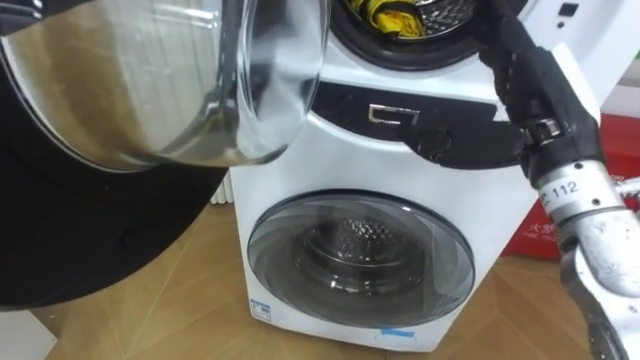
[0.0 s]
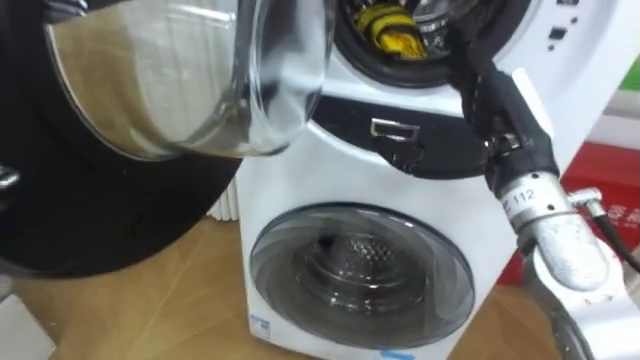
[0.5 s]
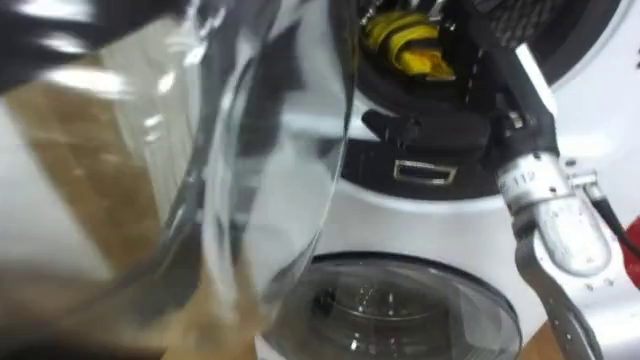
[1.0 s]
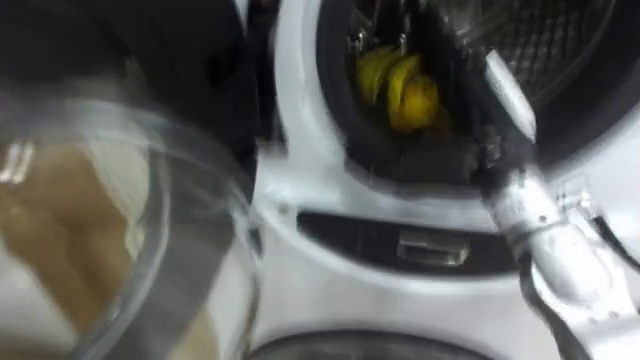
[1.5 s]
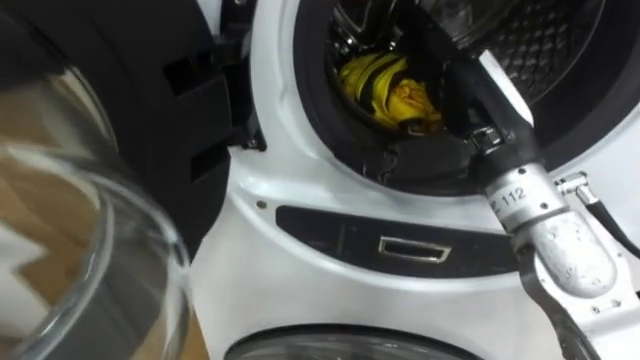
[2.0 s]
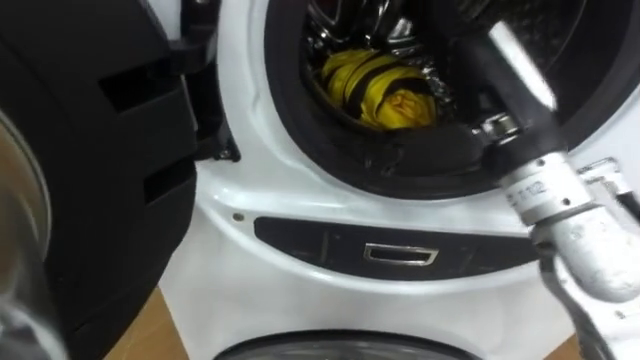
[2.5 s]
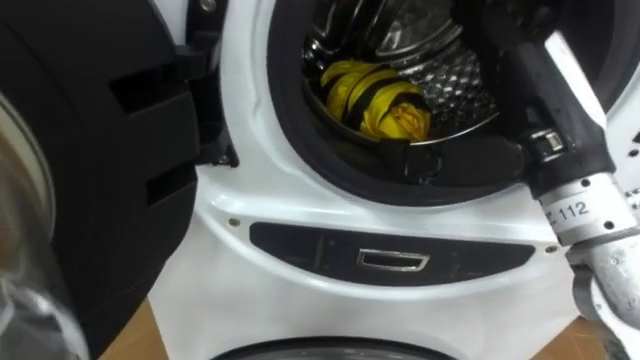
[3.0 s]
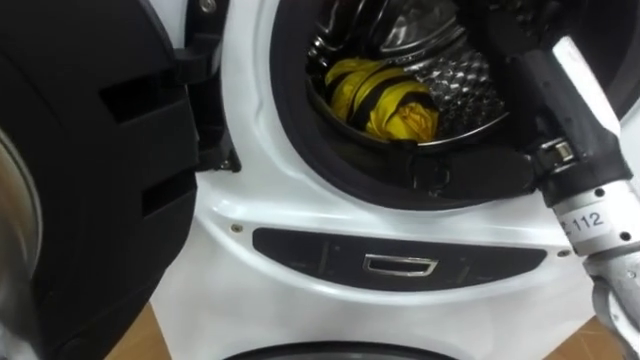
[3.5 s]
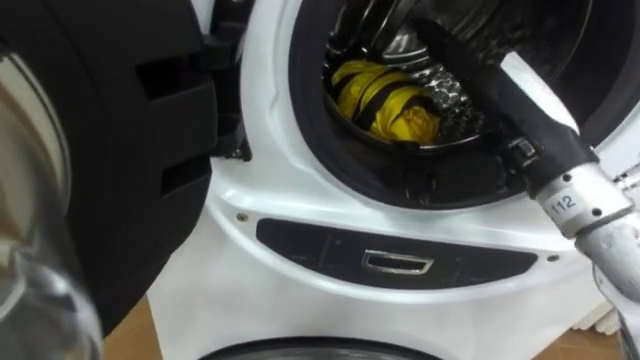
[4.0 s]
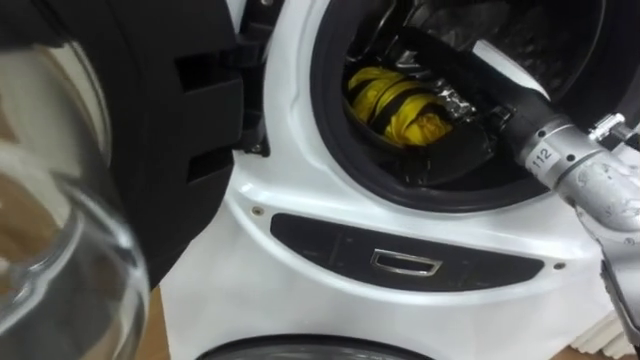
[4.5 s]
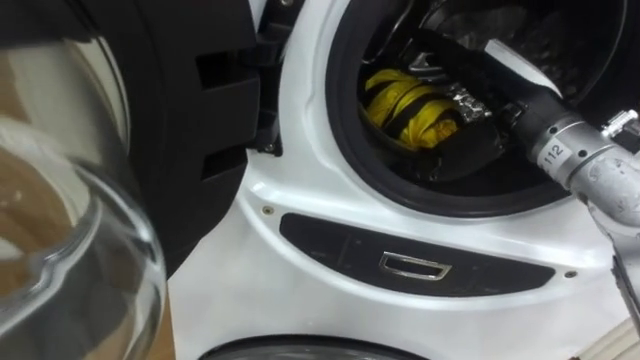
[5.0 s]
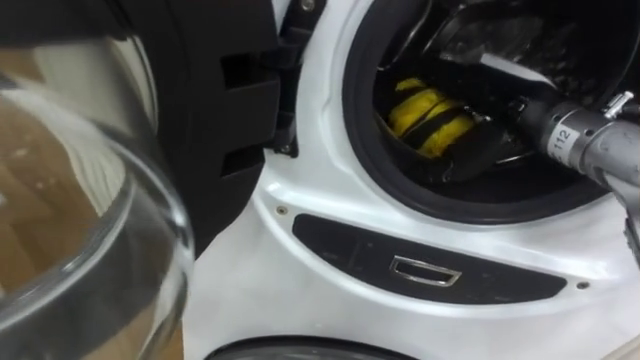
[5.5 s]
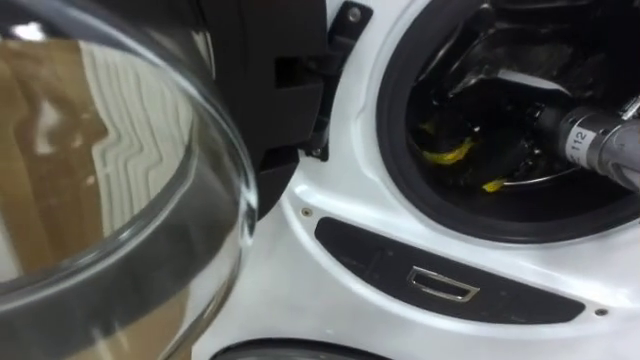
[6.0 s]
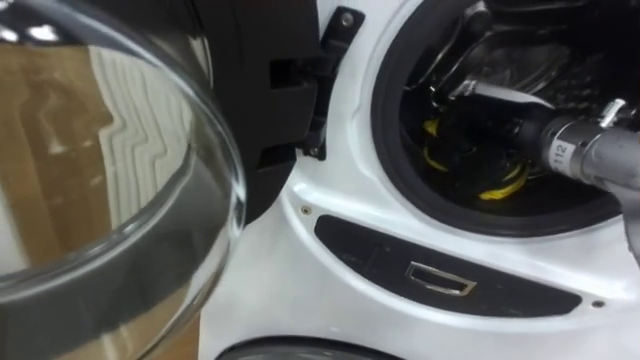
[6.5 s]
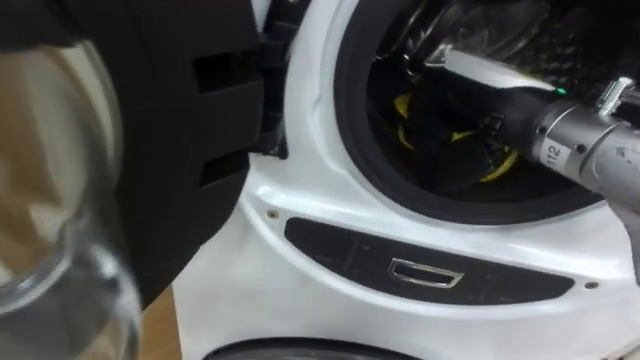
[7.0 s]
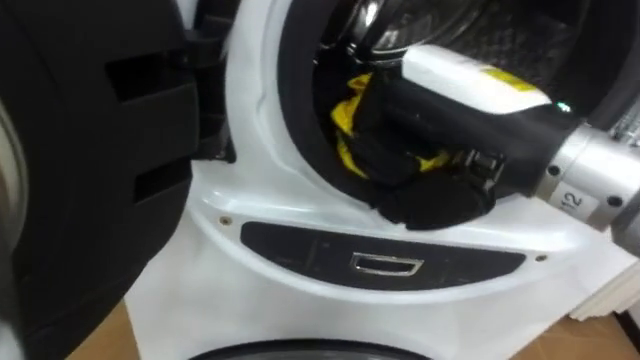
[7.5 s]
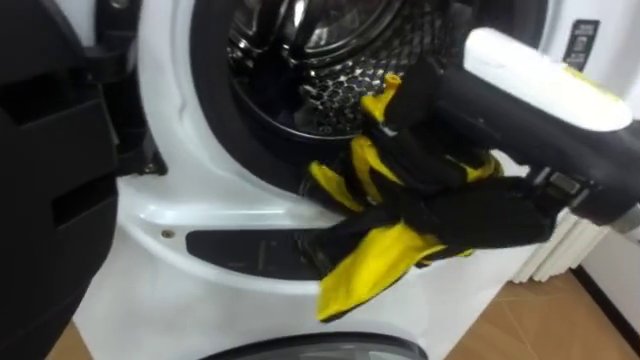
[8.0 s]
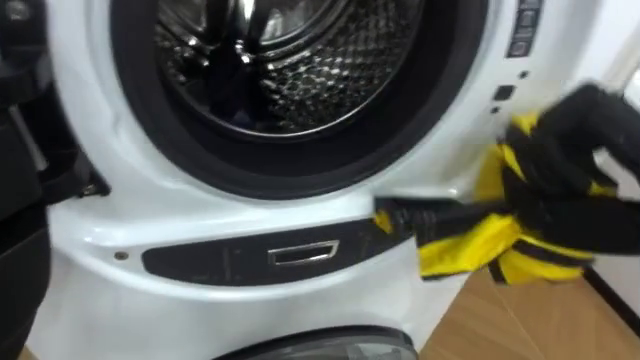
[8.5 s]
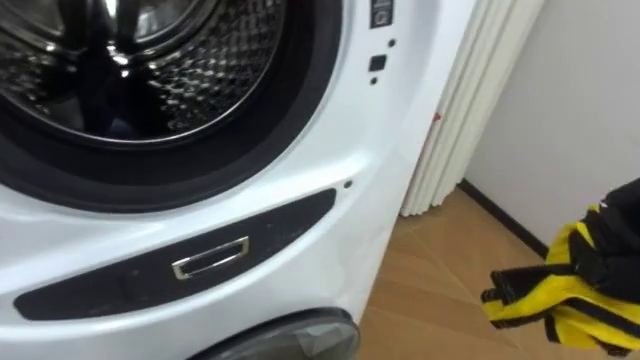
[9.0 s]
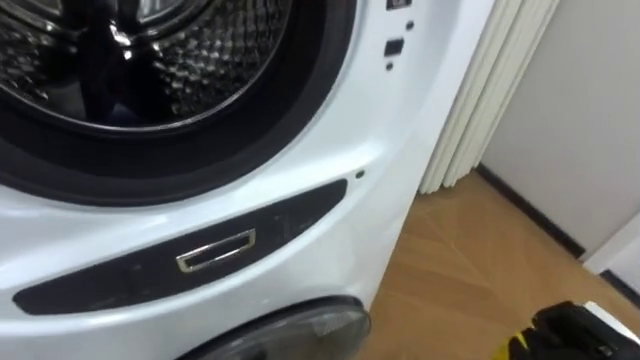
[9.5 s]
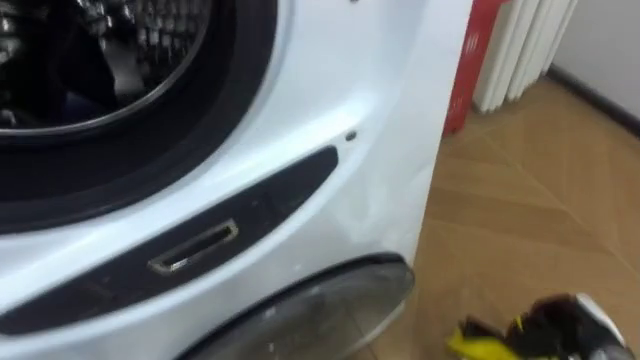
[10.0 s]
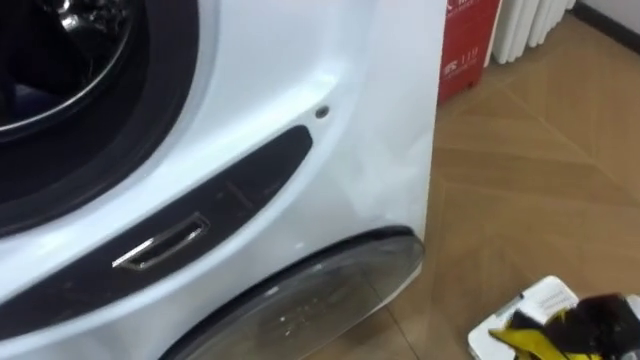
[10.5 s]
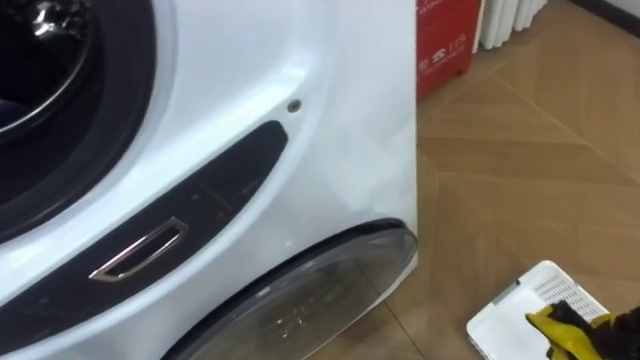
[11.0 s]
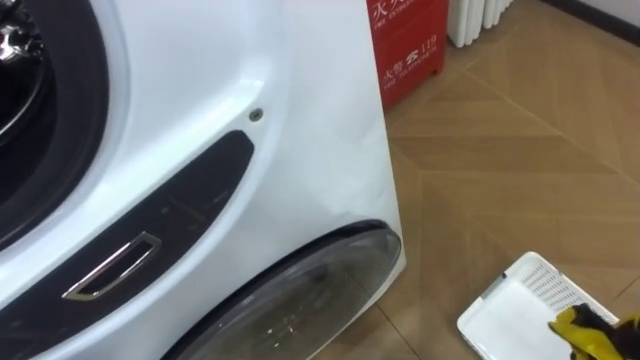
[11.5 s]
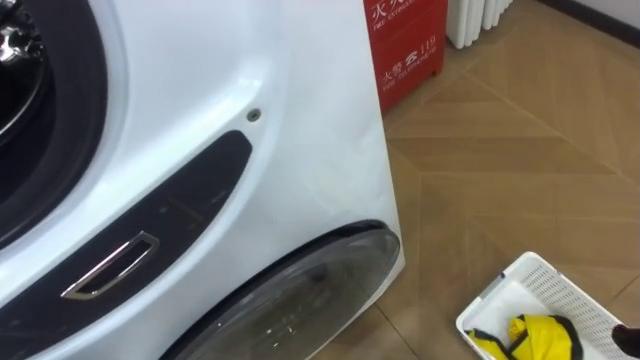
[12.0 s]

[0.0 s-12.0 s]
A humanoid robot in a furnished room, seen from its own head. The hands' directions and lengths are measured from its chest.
Task of the whole recording: Open the washing machine door, take out the yellow clothes, place them in the box on the right, and close the washing machine door.
0.0 to 2.0 s: The right hand travels to the left by approximately 5 cm.
4.0 to 6.0 s: The right hand travels forward and downward by roughly 10 cm, and closes.
6.0 to 8.0 s: The right hand travels backward, upward and to the left by some 20 cm, and closes.

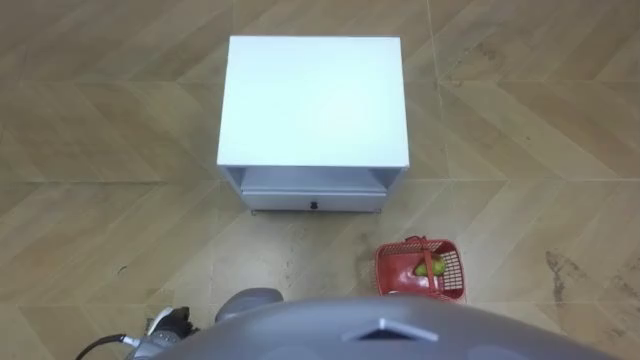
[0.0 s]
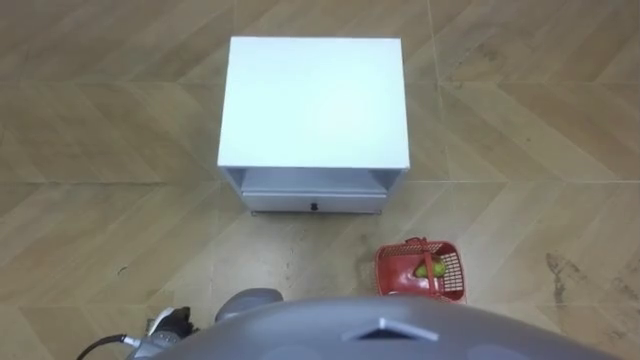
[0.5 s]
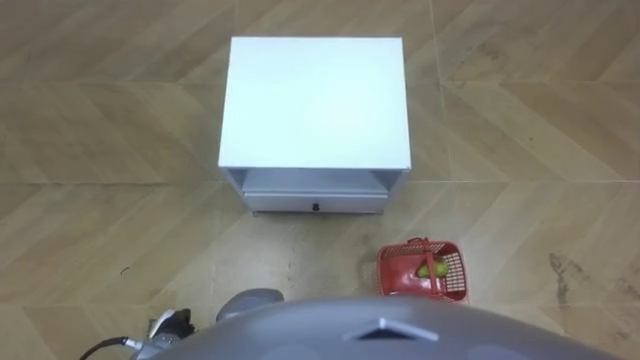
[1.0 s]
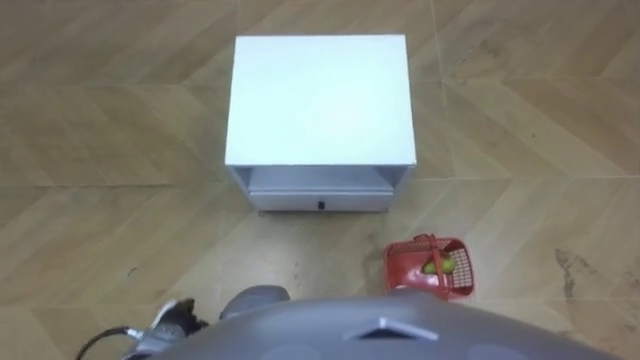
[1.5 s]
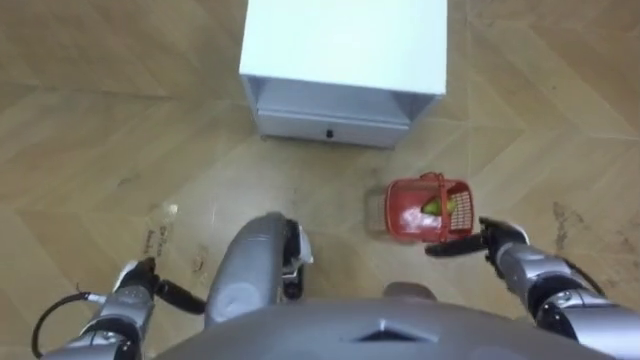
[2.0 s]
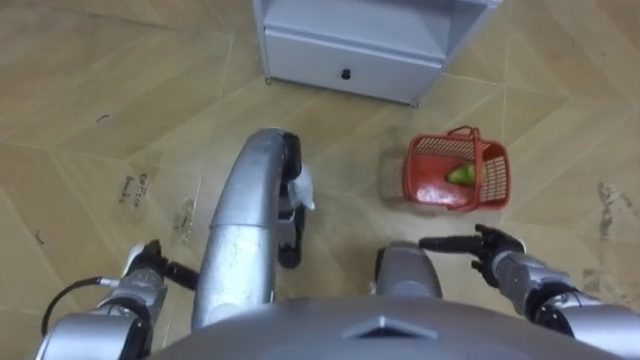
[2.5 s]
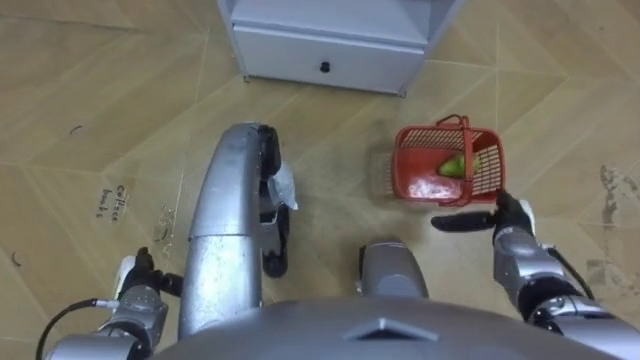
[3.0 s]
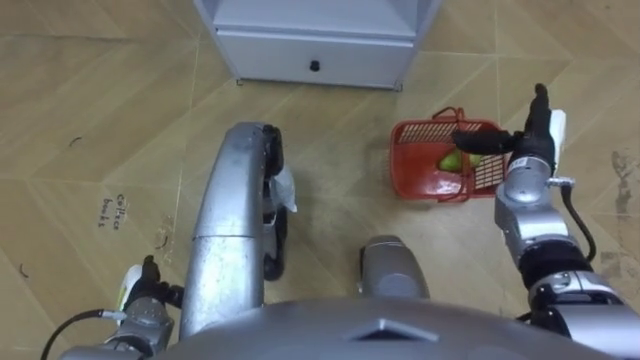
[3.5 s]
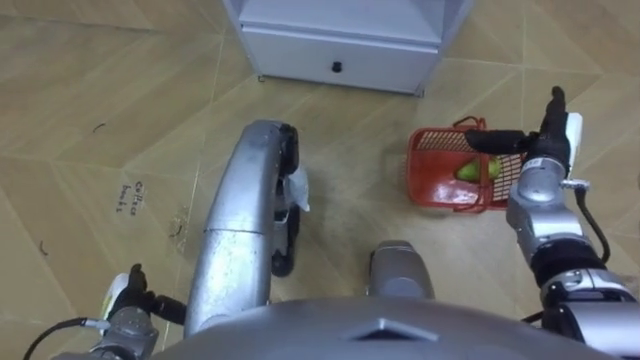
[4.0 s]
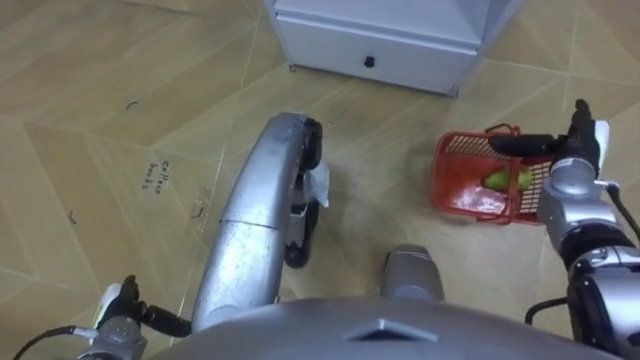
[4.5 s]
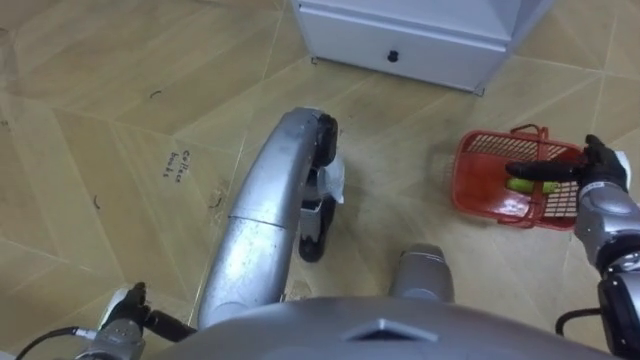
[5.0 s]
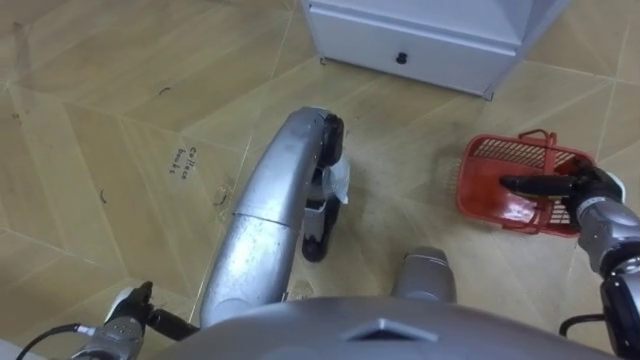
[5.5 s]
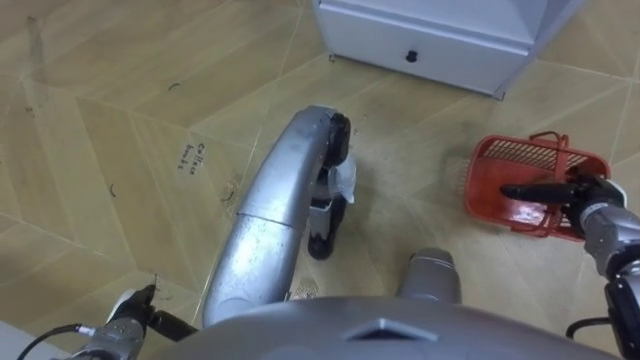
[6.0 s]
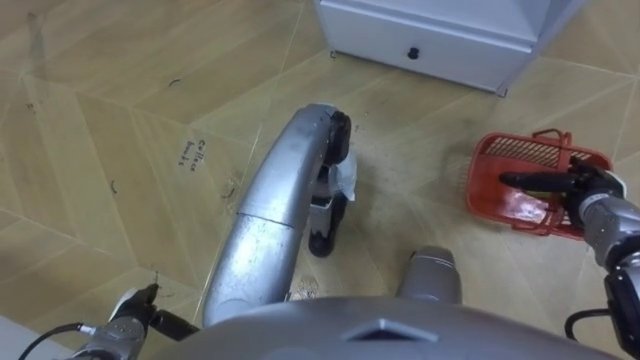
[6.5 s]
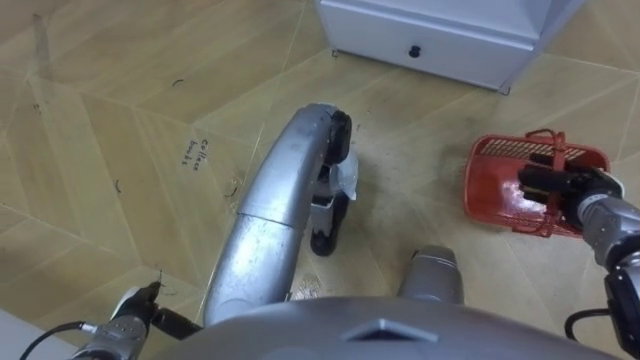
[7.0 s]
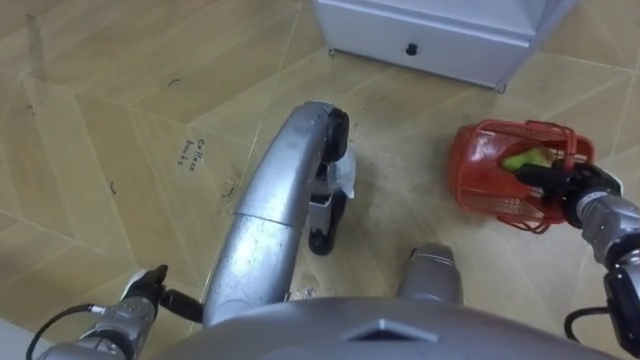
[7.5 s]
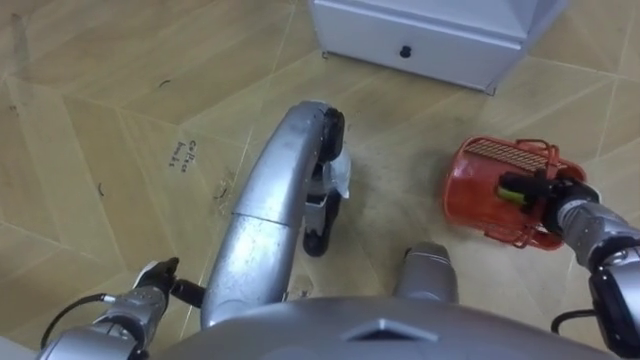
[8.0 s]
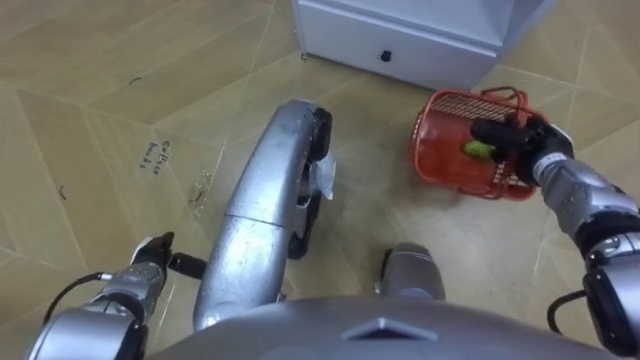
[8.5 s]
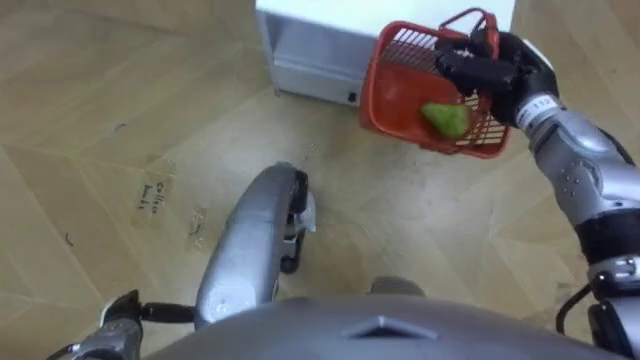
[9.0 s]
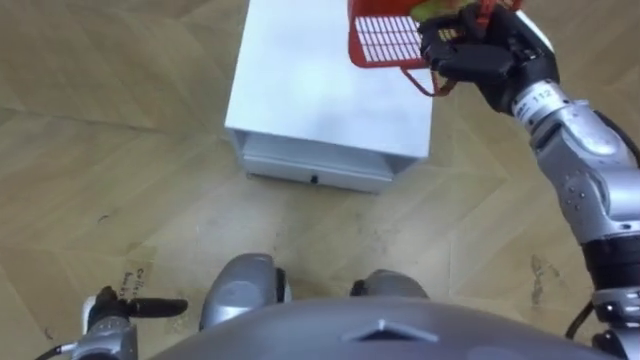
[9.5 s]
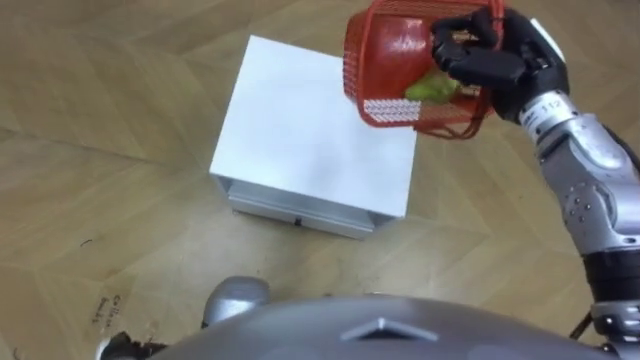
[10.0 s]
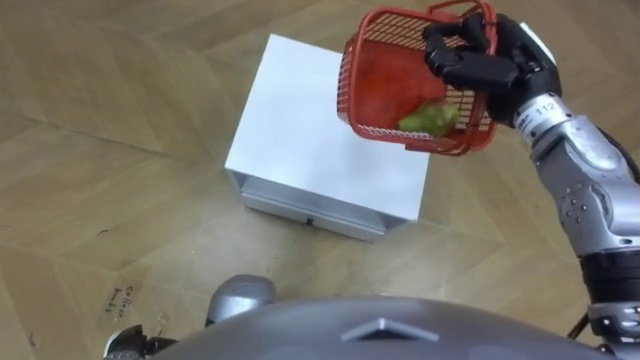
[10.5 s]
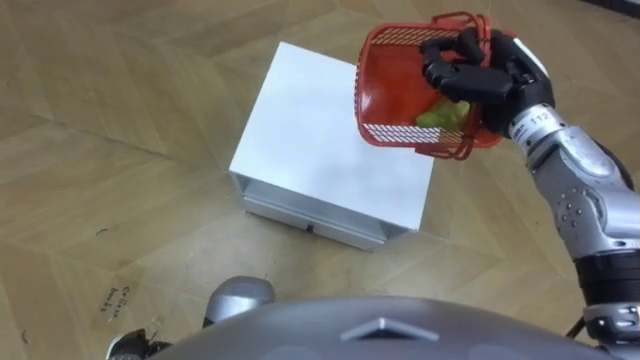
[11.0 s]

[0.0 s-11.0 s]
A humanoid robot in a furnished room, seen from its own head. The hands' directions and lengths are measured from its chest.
Task of the whole recording: Pick up the fruit basket from the floor and place it on the cabinet.
2.0 to 3.5 s: The right hand is displaced forward and upward by roughly 20 cm.
3.5 to 5.5 s: The right hand heads to the right and backward, covering approximately 10 cm.
5.5 to 7.5 s: The right hand closes its fingers.
7.5 to 9.0 s: The right hand goes about 20 cm to the left, forward and upward; the left hand reaches approximately 5 cm forward, then returns.
